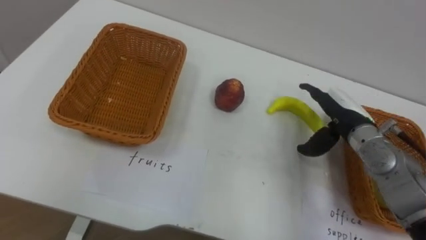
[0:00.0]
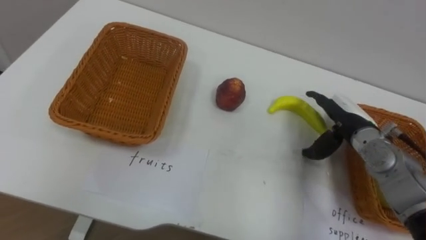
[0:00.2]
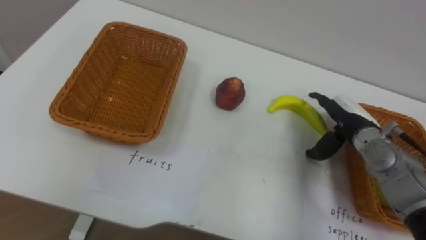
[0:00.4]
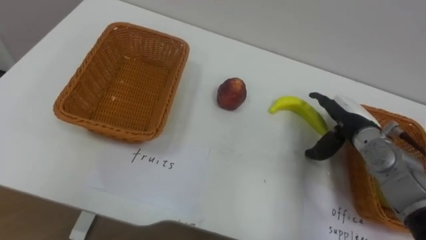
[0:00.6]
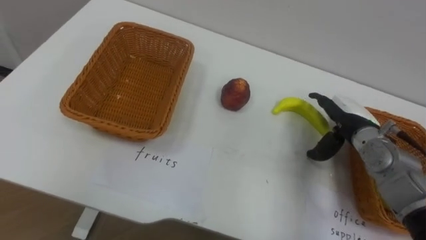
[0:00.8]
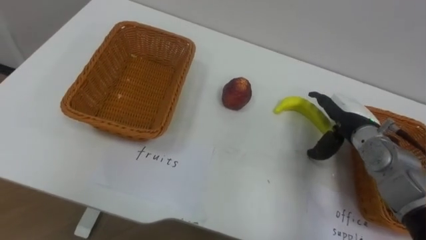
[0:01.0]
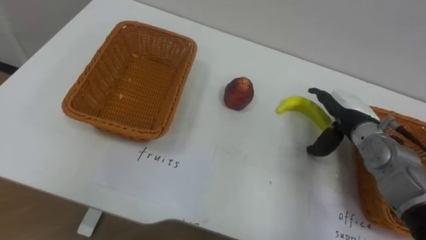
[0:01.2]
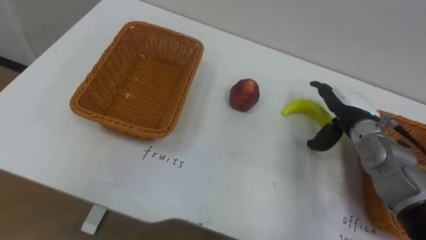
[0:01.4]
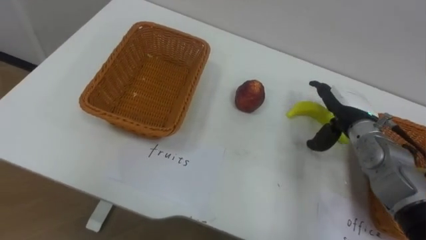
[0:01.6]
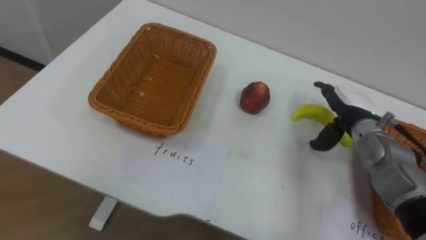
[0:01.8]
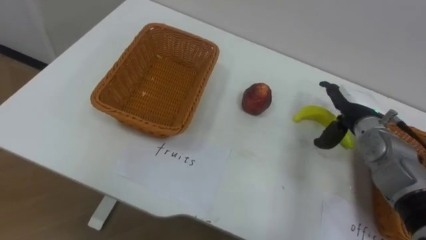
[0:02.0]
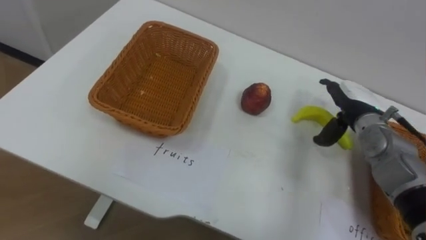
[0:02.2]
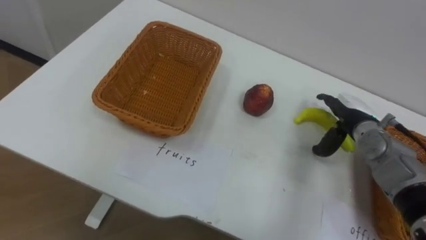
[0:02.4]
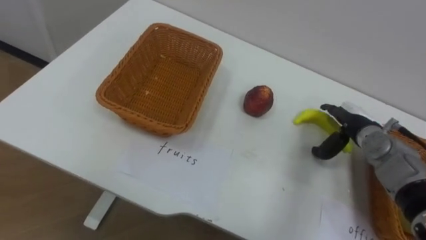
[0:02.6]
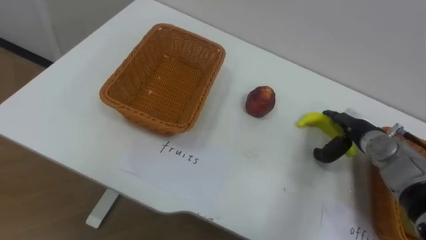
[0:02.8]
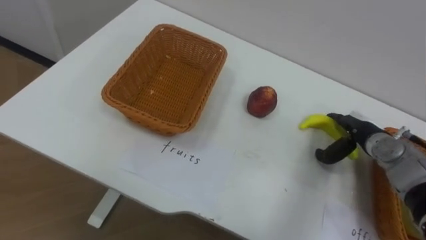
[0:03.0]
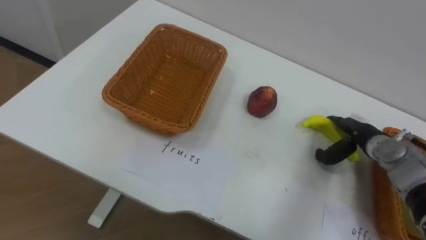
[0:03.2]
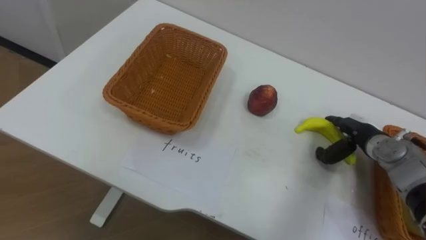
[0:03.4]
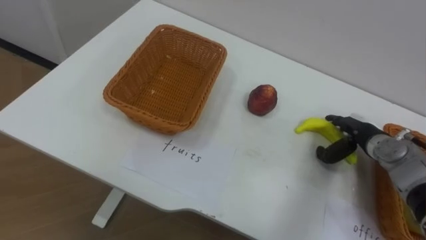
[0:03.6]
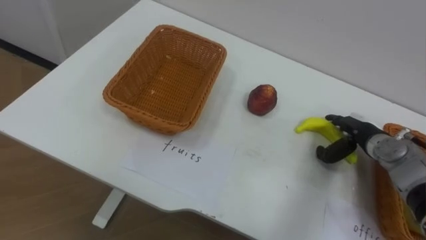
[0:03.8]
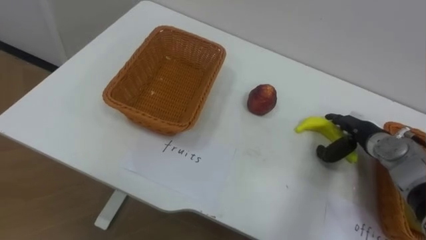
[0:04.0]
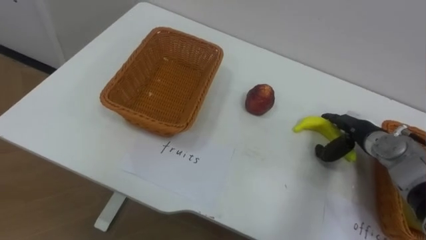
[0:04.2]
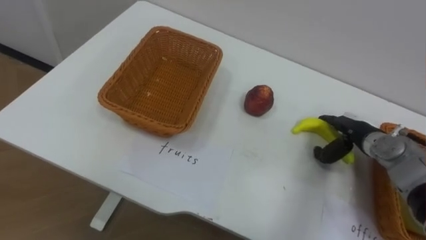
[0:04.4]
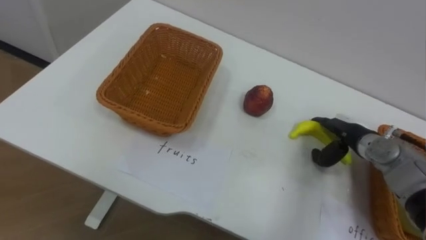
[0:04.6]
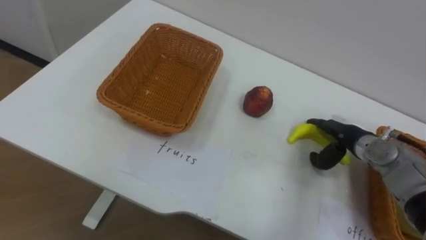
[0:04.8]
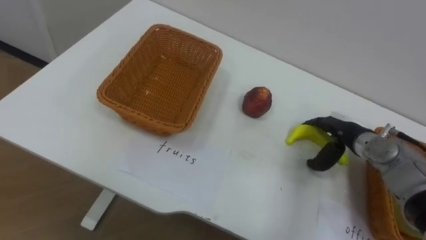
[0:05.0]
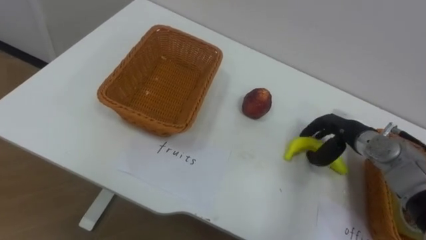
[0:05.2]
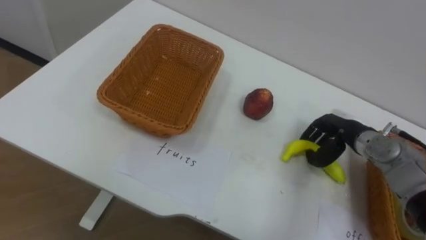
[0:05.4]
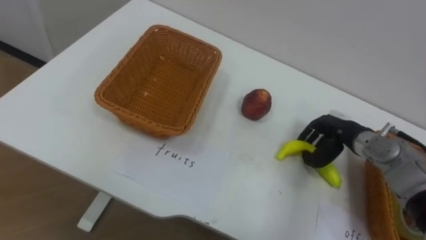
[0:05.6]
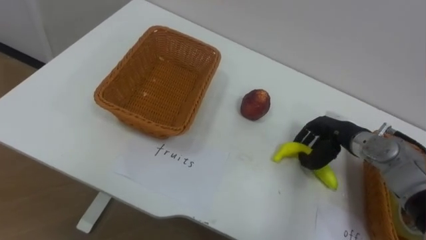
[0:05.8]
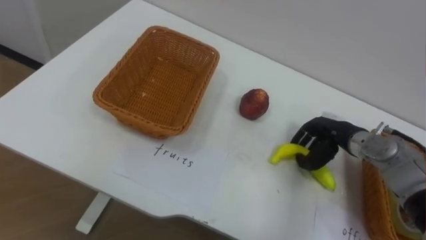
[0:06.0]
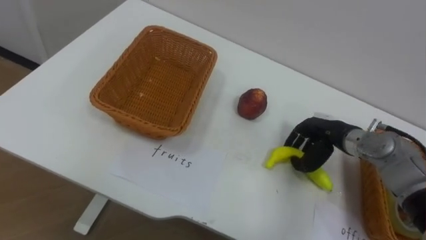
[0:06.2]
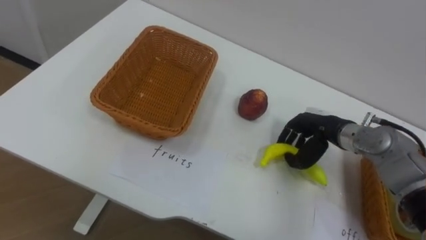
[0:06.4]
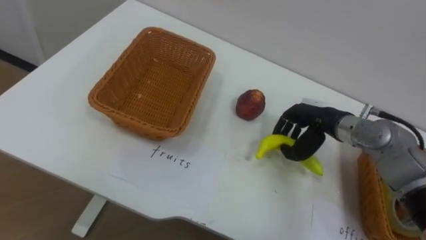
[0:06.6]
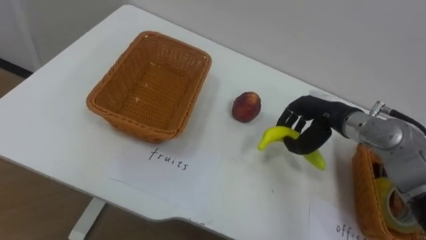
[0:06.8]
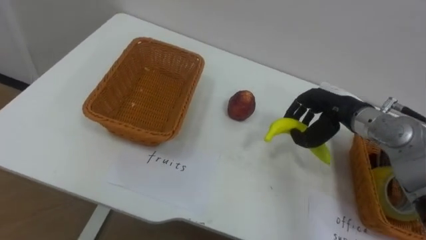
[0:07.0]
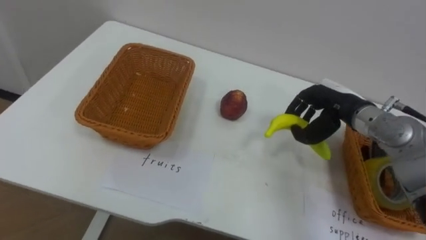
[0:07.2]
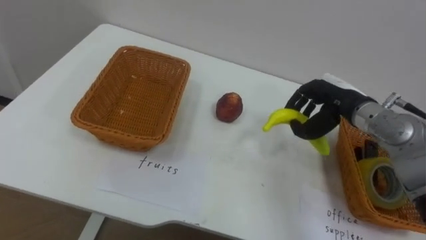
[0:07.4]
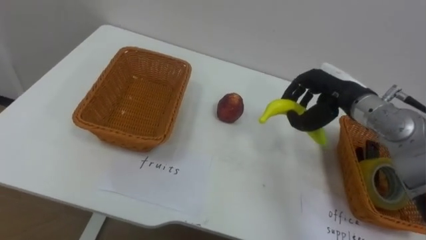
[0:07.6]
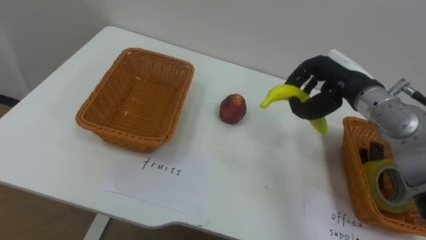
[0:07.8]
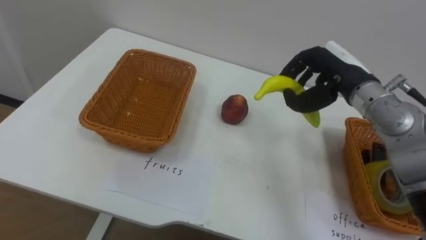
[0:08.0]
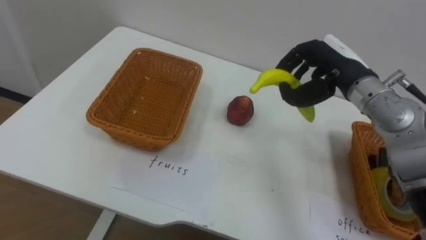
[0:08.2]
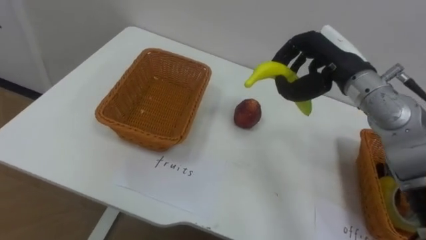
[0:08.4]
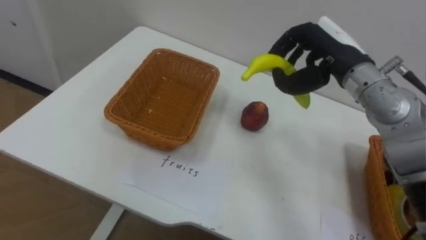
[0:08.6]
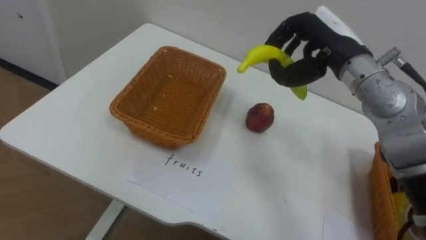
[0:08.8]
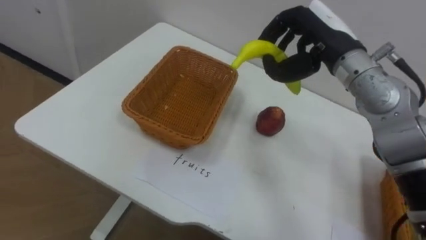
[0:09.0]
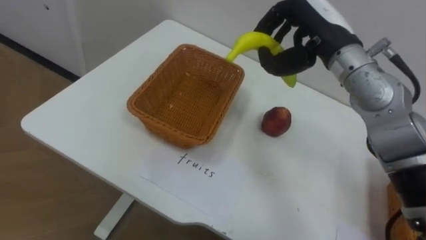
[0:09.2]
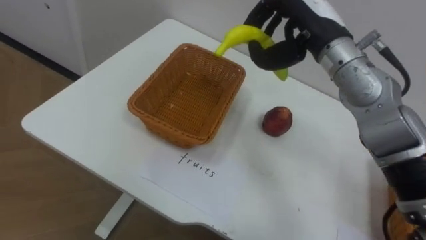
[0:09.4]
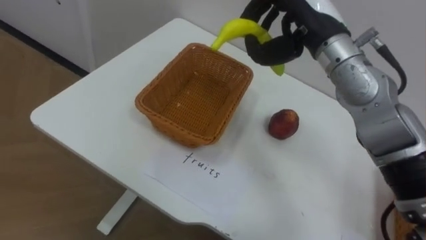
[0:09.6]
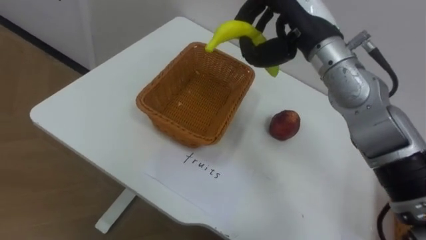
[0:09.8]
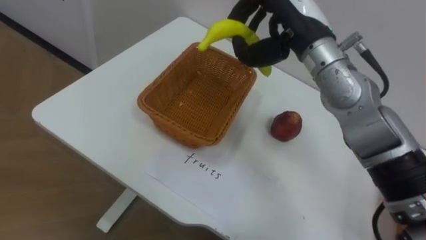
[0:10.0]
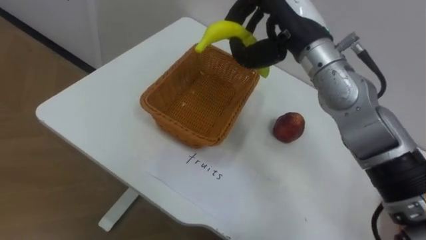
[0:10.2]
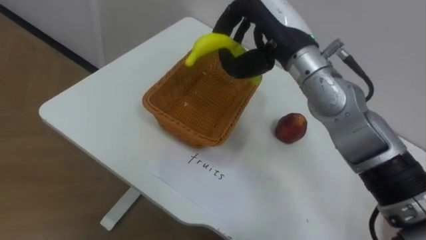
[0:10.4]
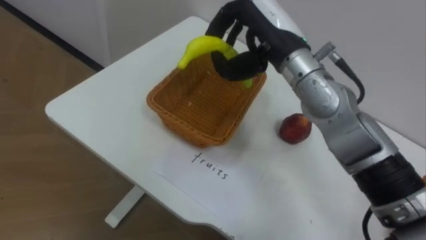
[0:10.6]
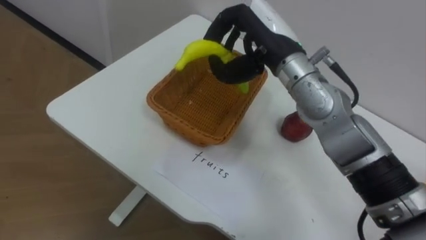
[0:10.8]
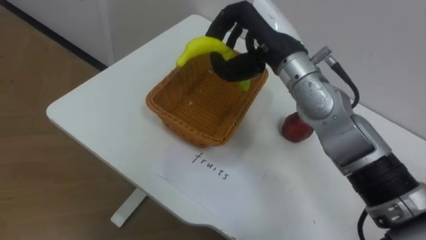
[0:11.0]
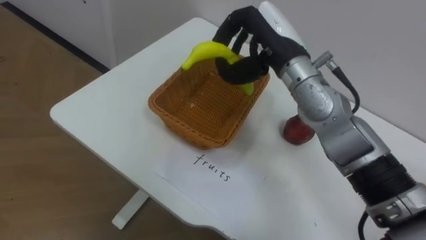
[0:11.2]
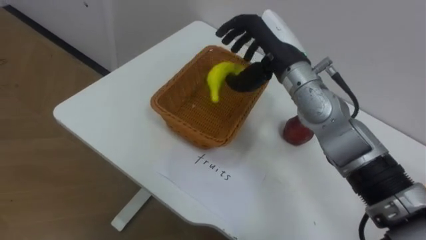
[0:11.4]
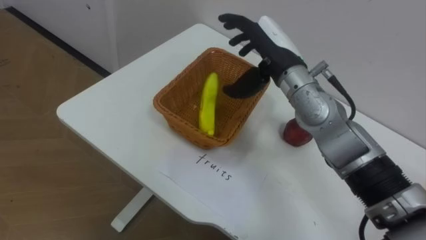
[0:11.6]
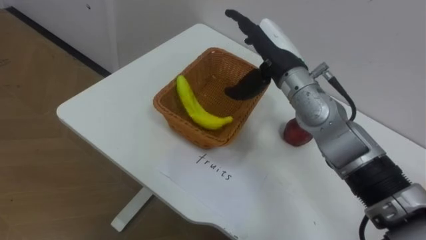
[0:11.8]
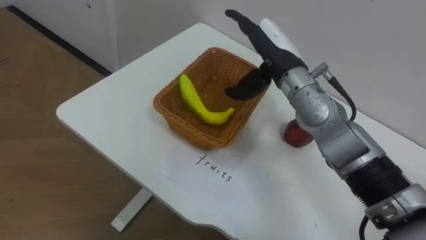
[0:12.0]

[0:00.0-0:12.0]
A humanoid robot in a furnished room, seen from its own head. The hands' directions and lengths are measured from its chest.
Task of the whole recording: Separate the items on the table and place them into the two baskets.
0:01.6 to 0:03.0: The right hand moves downward, roughly 5 cm.
0:04.4 to 0:06.0: The right hand closes up.
0:06.0 to 0:07.6: The right hand is displaced upward by approximately 10 cm.
0:07.6 to 0:09.0: The right hand shifts some 10 cm upward and to the left.
0:09.0 to 0:10.4: The right hand heads to the left, covering some 10 cm.
0:10.4 to 0:12.0: The right hand goes roughly 5 cm downward, and opens its fingers.

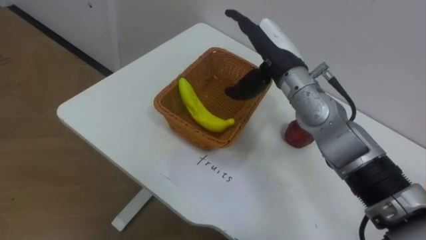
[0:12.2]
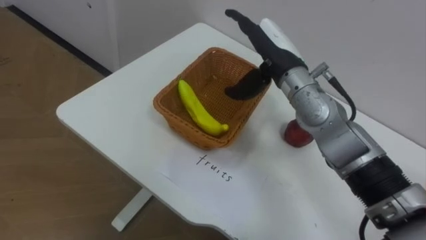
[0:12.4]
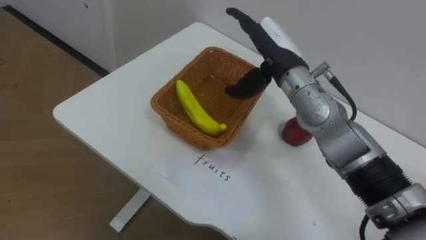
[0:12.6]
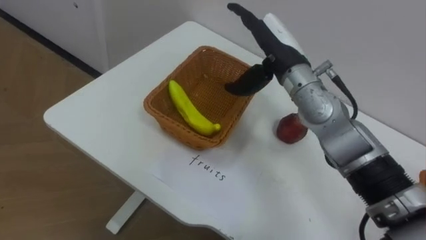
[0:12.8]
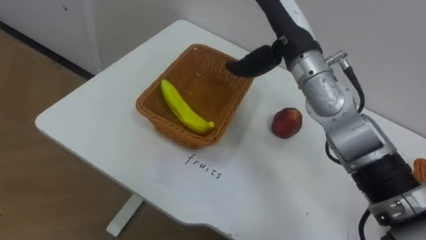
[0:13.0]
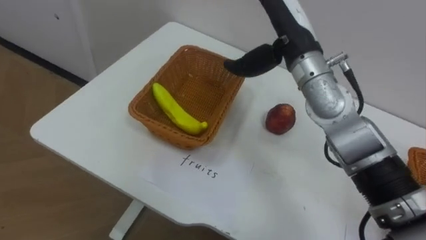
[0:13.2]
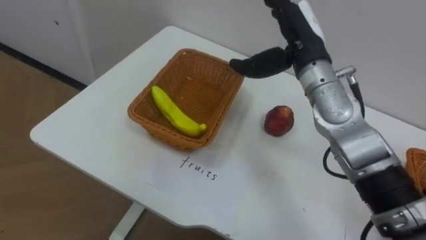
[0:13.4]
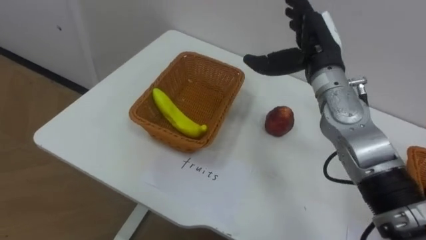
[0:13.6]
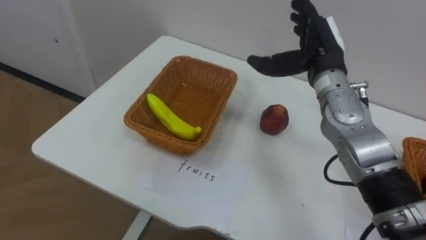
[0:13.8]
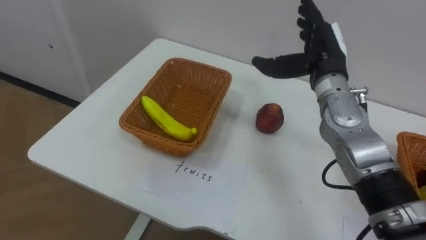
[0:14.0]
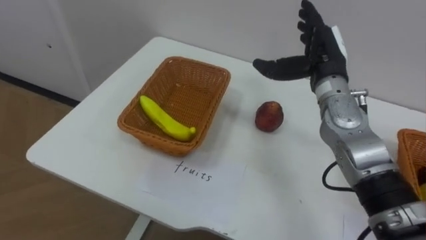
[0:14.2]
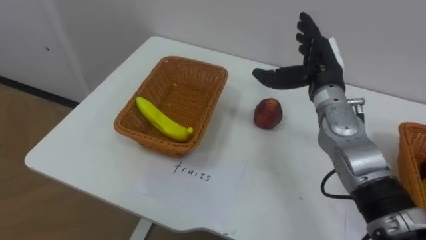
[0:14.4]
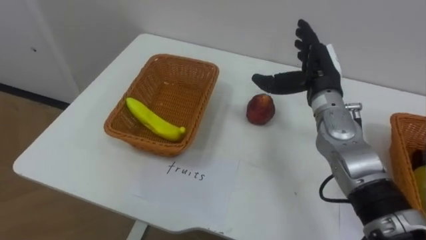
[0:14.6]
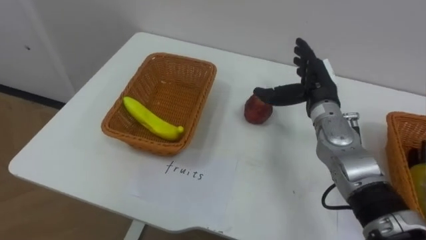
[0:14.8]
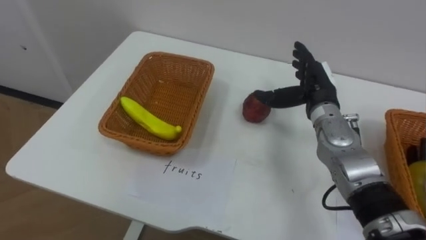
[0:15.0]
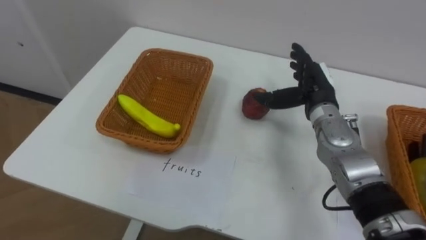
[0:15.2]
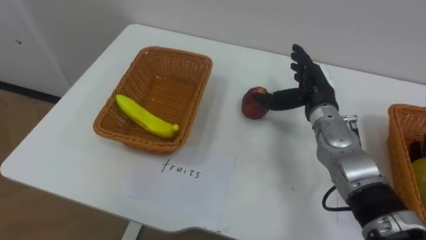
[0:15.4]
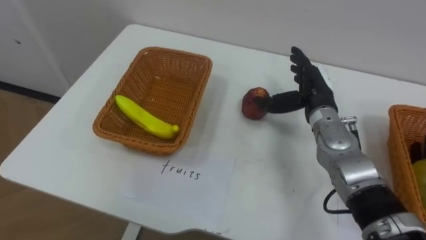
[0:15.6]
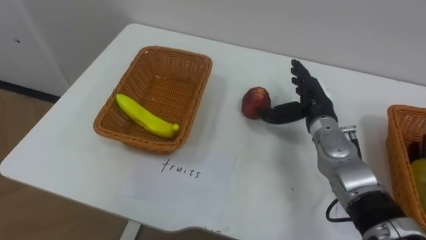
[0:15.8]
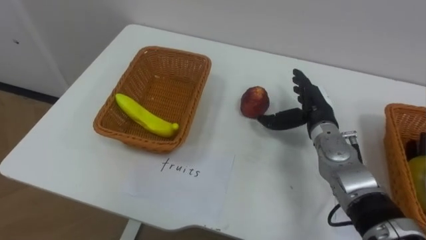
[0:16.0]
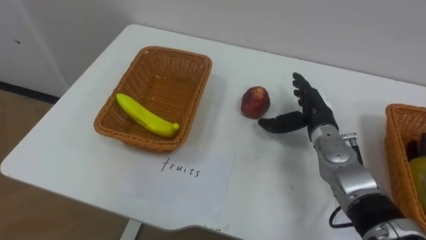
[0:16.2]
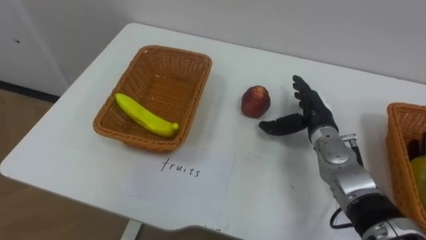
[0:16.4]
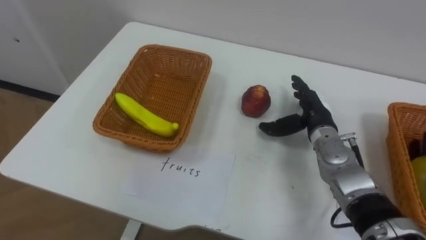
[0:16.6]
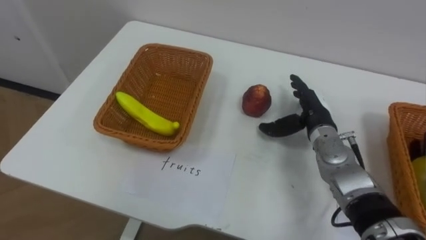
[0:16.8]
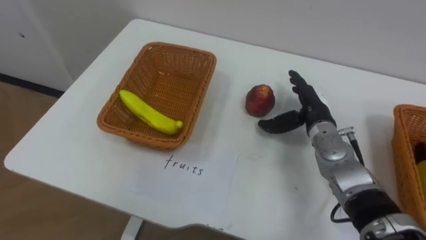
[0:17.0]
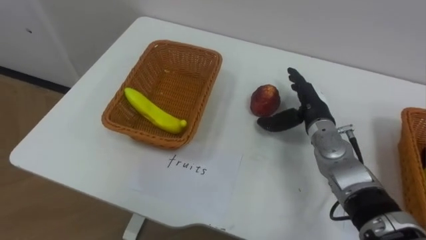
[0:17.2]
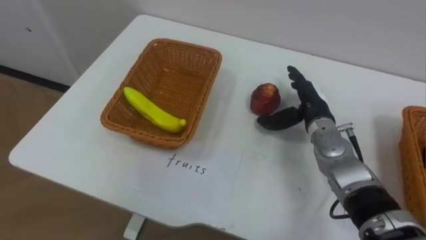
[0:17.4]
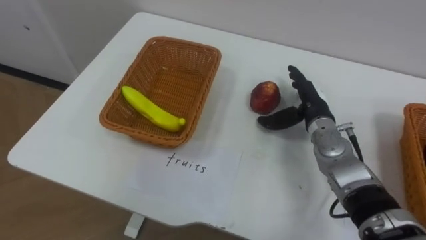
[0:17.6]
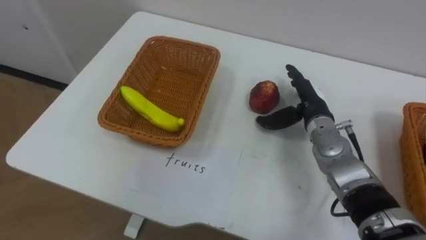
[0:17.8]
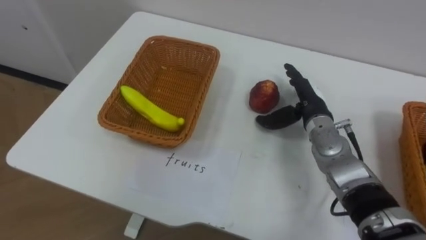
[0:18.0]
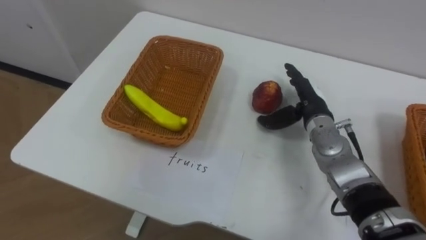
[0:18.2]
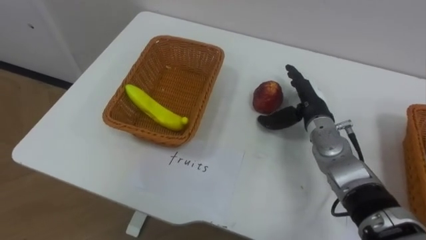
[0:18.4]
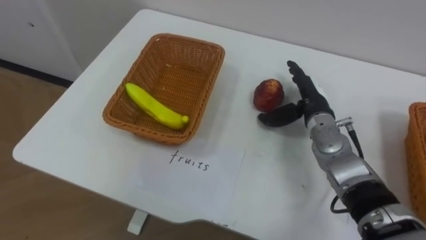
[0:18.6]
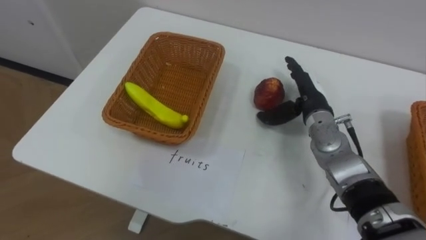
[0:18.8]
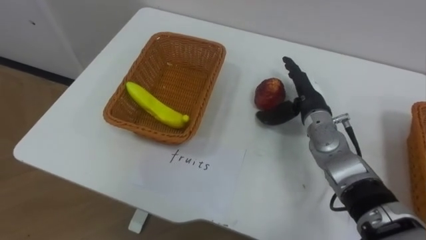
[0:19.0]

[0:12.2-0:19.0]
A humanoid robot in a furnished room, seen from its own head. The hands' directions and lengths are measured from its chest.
Task of the whole recording: Separate the items on the table and place them into the two baskets.
0:12.2 to 0:13.6: The right hand moves to the right, approximately 5 cm.
0:13.6 to 0:15.0: The right hand moves downward, some 10 cm.
0:15.0 to 0:16.2: The right hand shifts approximately 5 cm downward.
